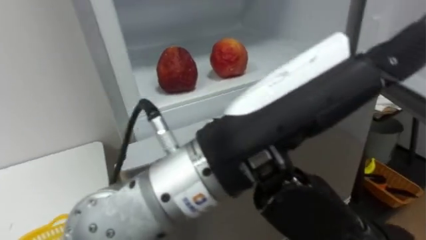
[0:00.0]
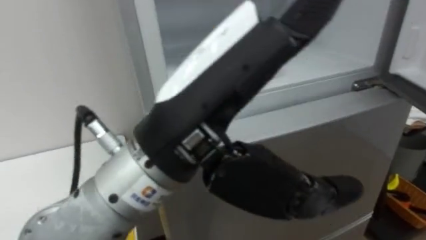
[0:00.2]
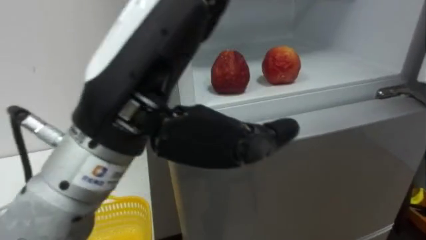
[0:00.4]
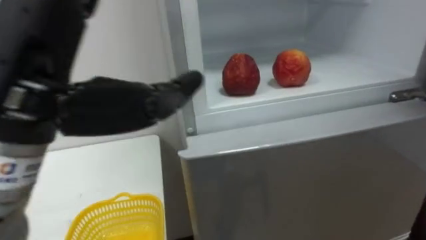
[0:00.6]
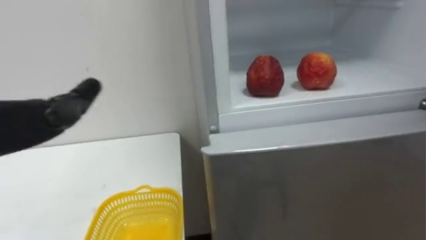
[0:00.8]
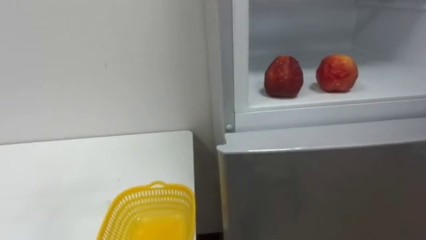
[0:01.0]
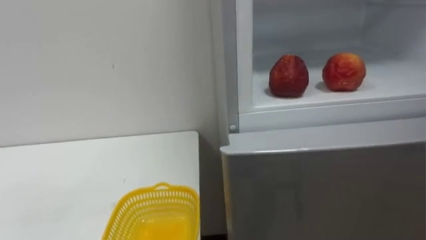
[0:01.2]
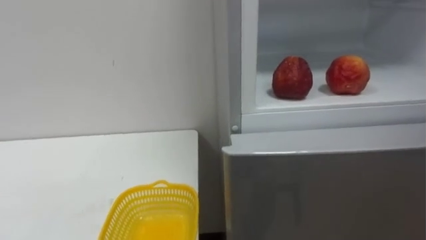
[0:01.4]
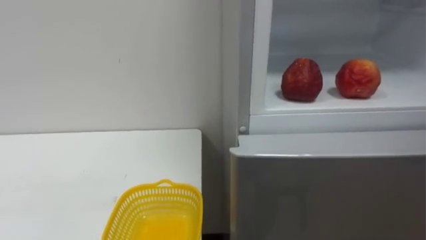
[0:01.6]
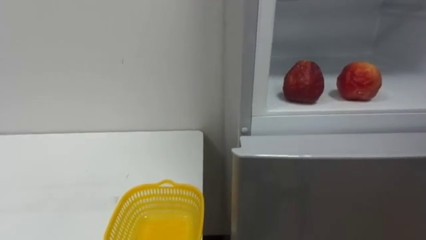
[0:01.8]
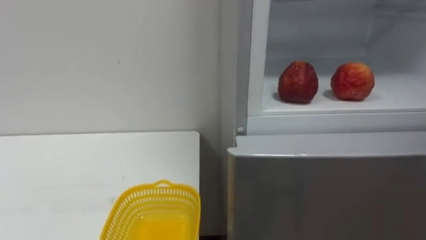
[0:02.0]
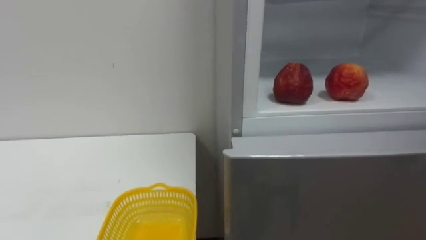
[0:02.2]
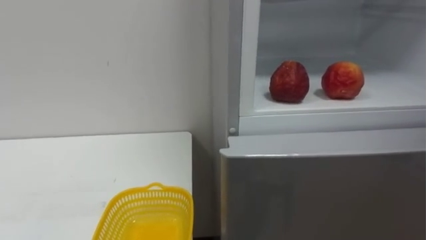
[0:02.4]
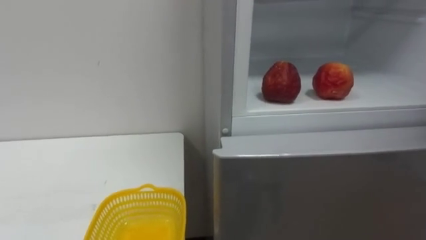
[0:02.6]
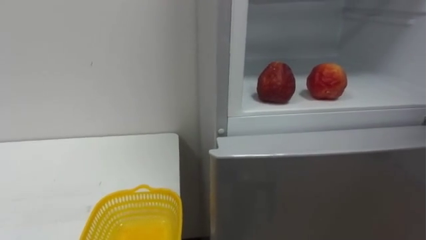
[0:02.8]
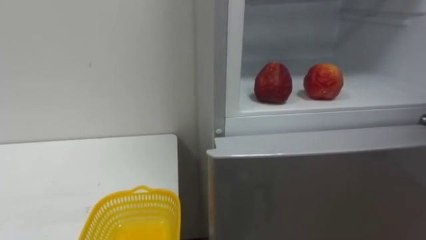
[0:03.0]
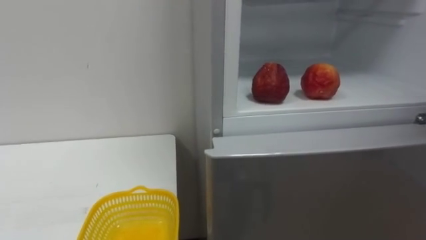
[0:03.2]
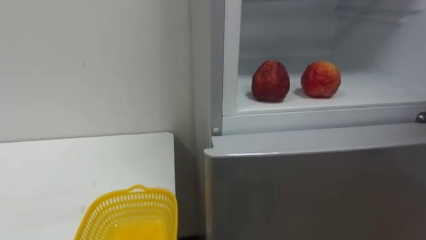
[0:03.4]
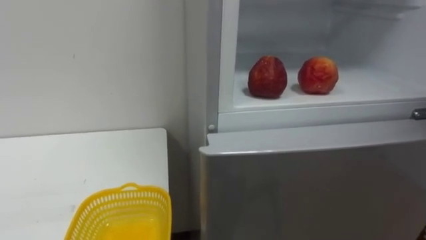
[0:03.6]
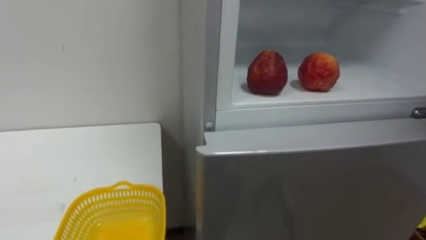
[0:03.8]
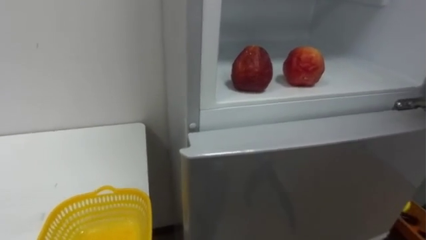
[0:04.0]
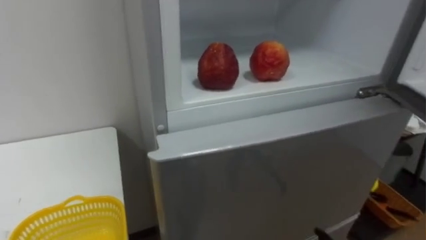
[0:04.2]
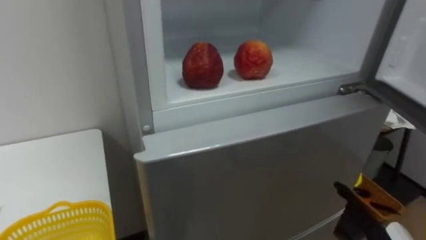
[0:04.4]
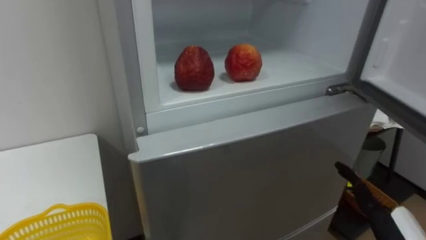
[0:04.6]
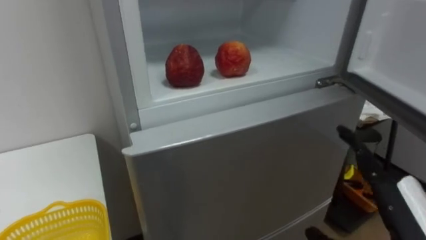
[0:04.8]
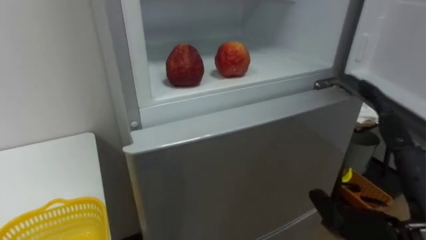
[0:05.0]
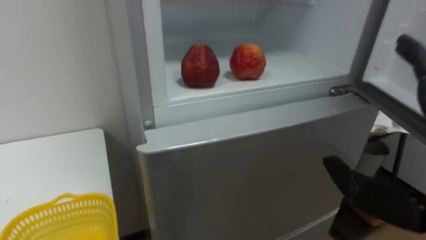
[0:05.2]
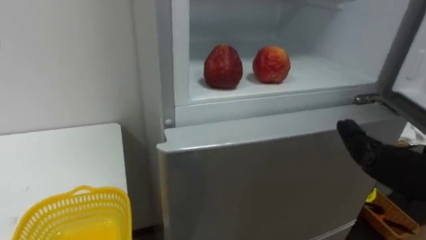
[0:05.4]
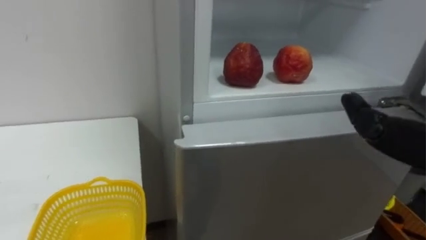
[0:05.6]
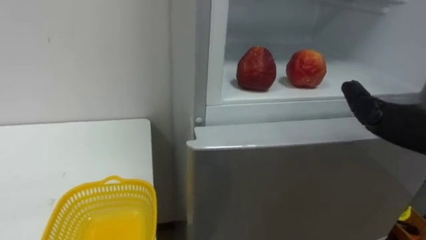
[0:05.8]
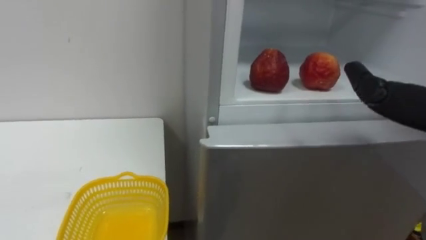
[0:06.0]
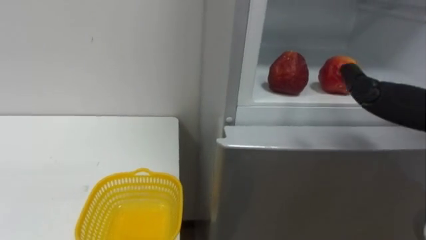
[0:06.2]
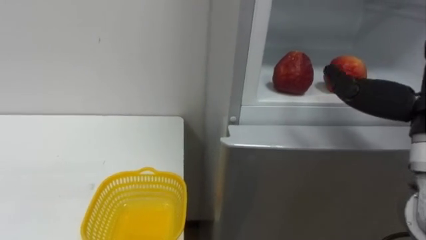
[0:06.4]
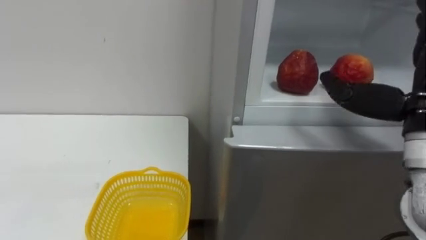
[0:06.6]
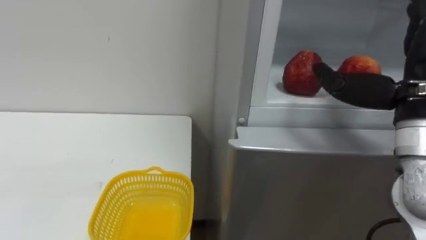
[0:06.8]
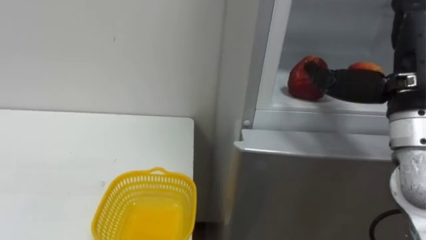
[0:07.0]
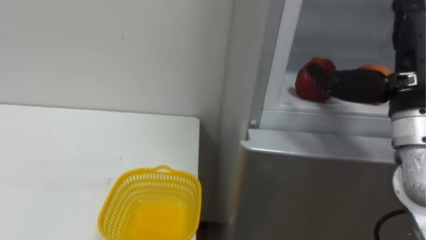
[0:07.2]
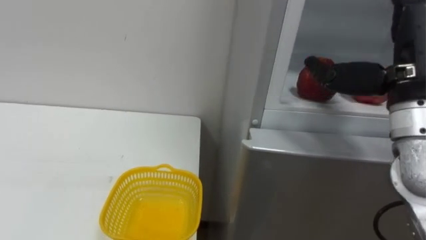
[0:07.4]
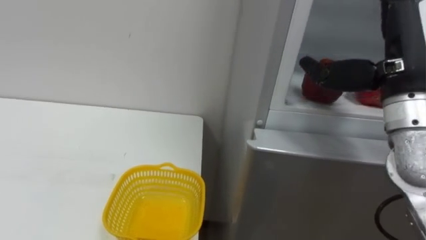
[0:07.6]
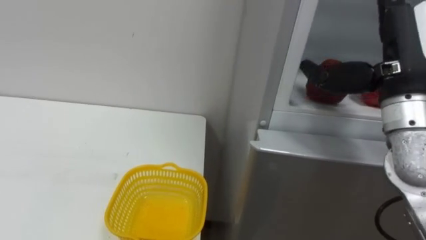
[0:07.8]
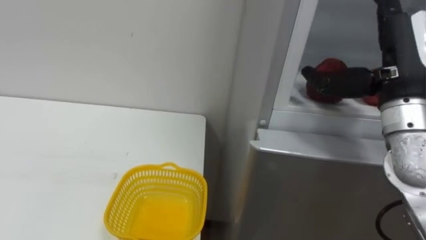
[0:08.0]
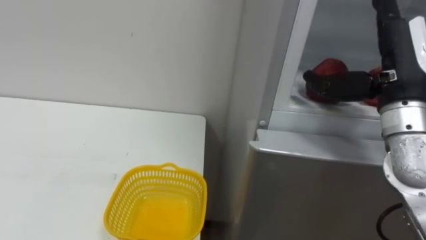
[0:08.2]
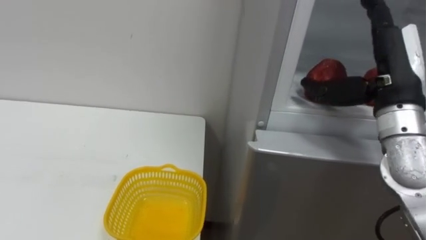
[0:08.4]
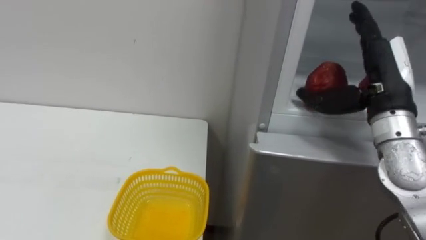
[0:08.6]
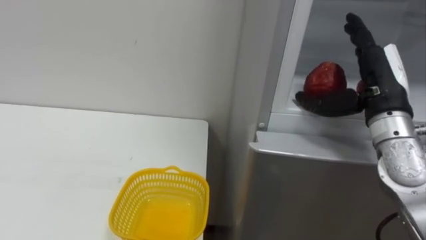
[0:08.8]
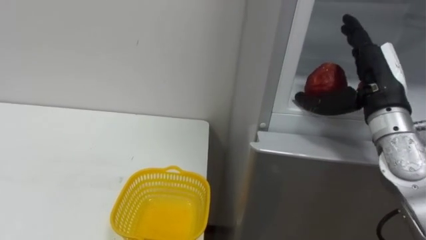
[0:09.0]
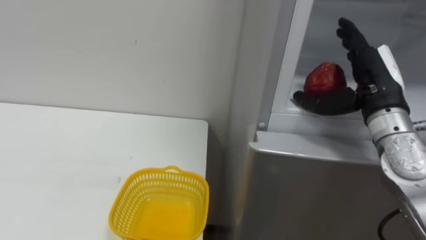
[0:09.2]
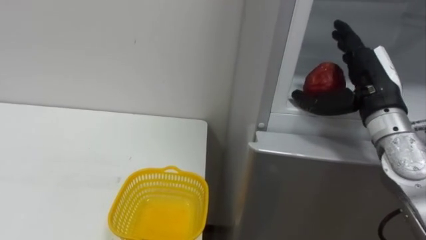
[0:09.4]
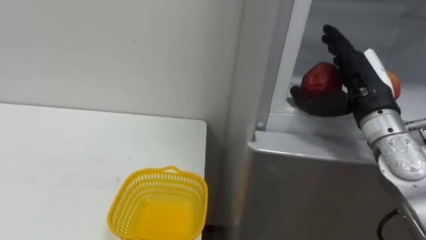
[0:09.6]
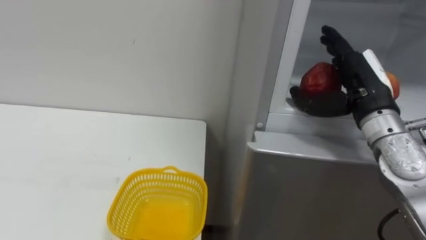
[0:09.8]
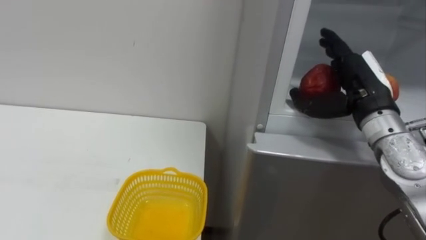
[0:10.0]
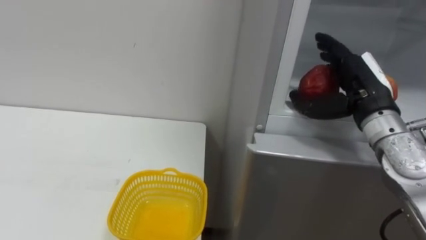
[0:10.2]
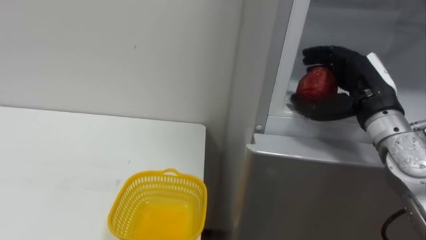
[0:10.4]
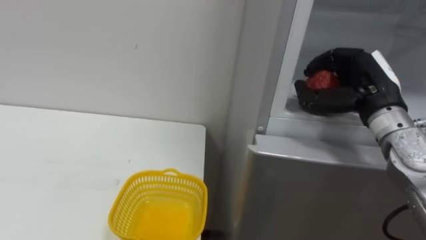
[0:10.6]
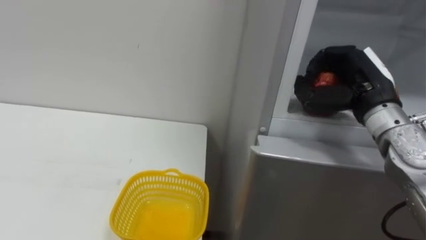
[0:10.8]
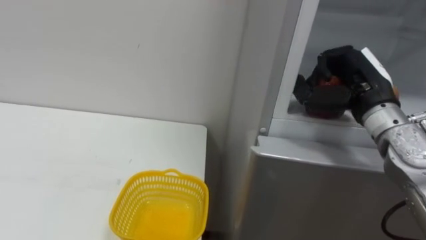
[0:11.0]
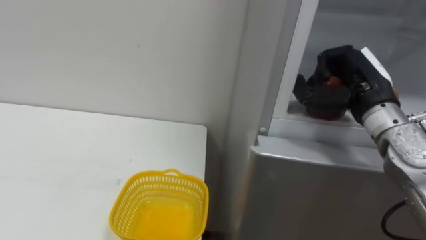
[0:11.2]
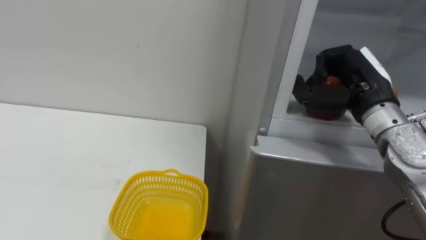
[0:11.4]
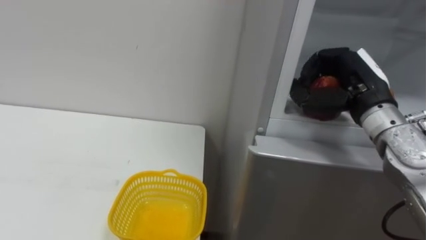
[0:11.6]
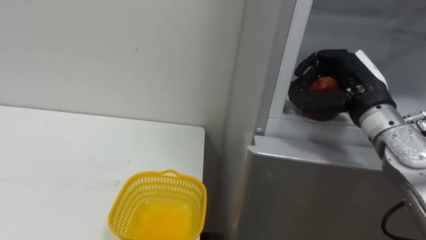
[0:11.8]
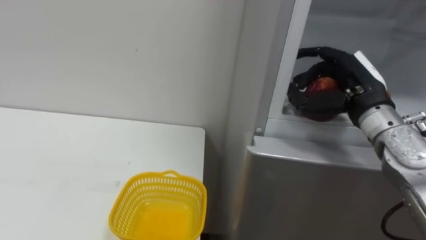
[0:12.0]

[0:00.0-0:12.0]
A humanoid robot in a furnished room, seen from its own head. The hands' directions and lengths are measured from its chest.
Task of the whole recording: Open the refrigerator door, take out the apple and the pomegranate, place them in the fruit basket on the left, and close the refrigerator door.
0:07.6 to 0:09.0: The right hand moves downward and forward, roughly 10 cm.
0:09.0 to 0:10.4: The right hand closes its fingers.
0:10.4 to 0:12.0: The right hand closes and opens again.

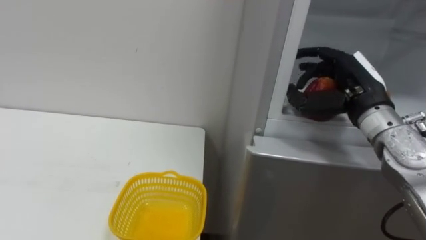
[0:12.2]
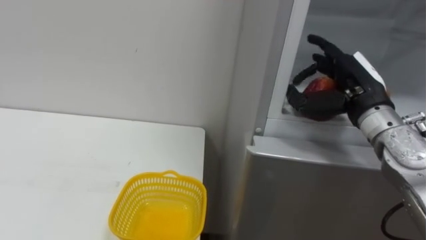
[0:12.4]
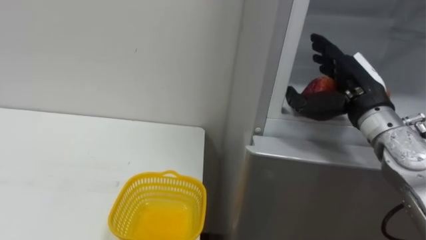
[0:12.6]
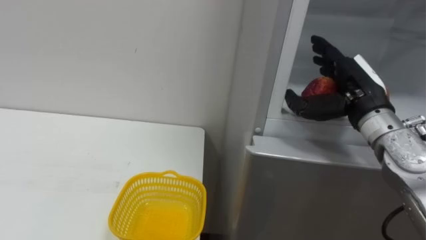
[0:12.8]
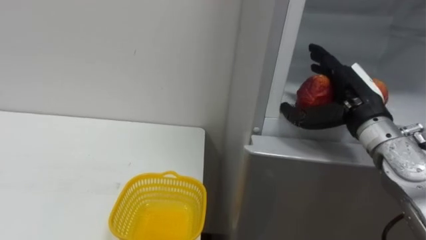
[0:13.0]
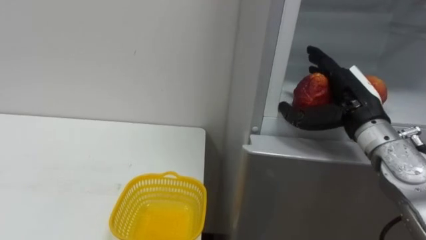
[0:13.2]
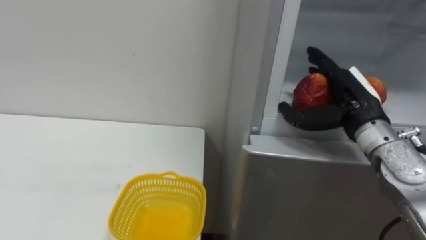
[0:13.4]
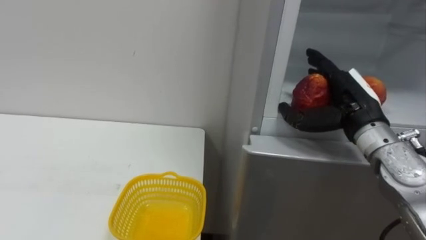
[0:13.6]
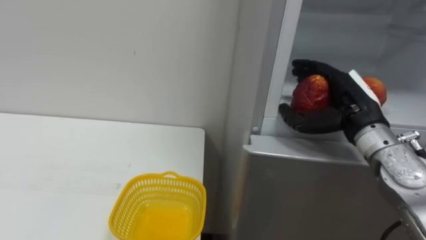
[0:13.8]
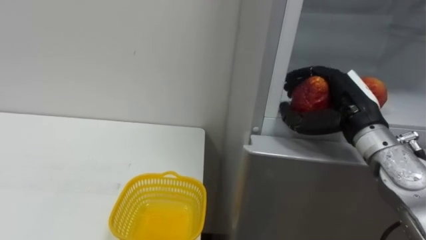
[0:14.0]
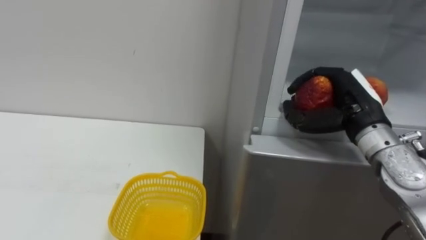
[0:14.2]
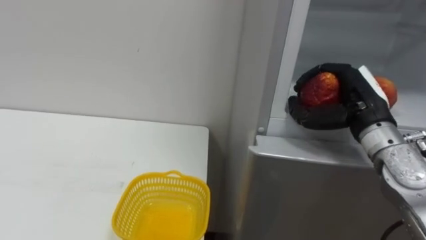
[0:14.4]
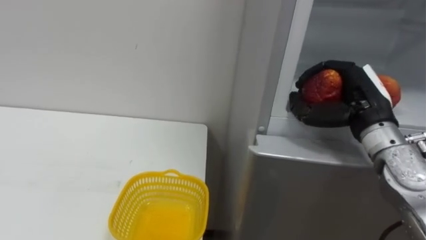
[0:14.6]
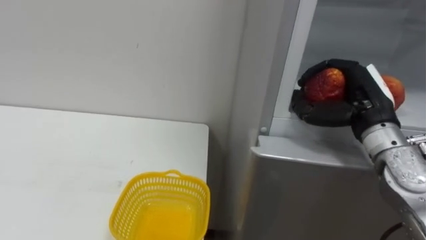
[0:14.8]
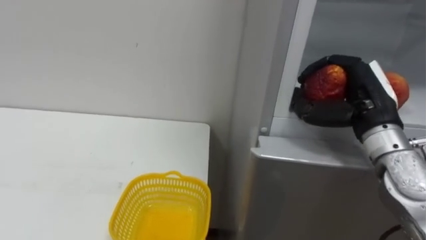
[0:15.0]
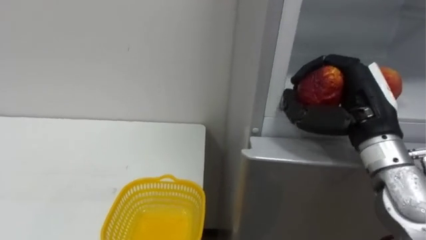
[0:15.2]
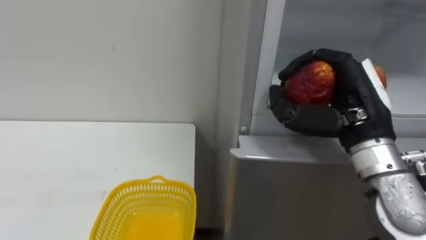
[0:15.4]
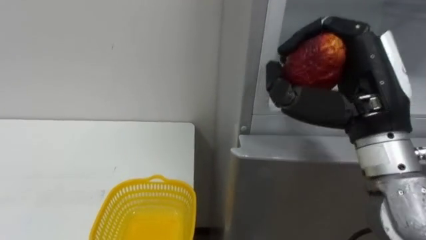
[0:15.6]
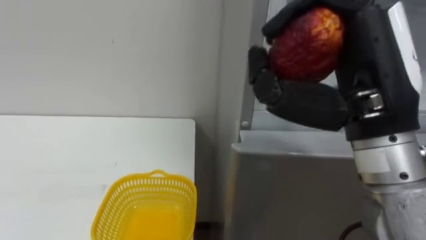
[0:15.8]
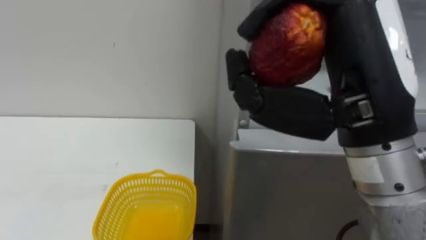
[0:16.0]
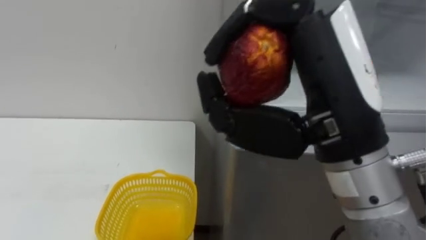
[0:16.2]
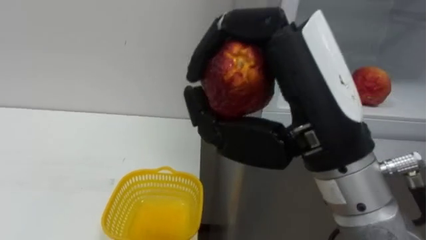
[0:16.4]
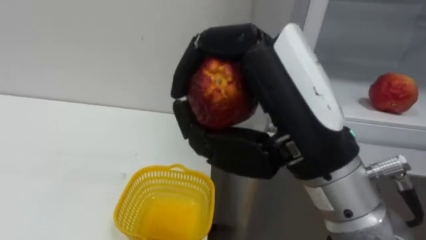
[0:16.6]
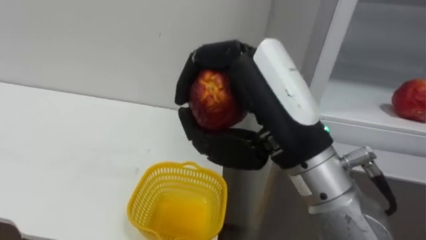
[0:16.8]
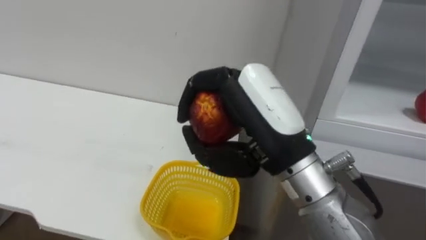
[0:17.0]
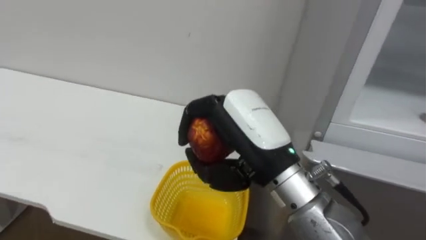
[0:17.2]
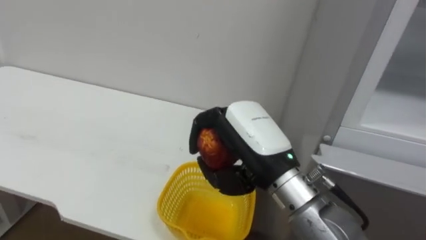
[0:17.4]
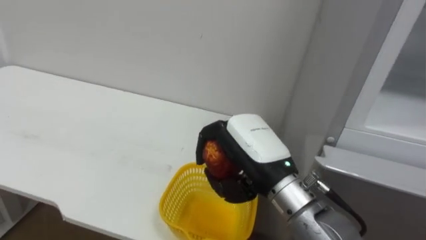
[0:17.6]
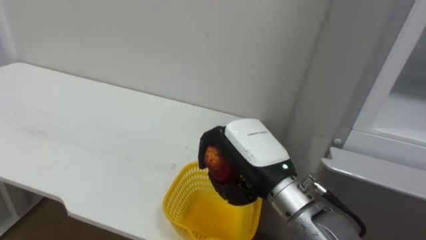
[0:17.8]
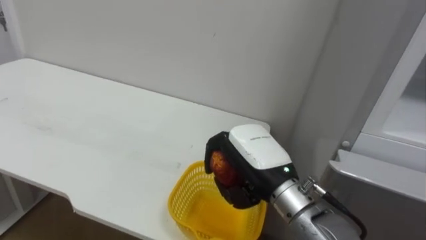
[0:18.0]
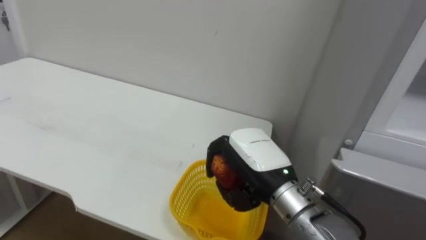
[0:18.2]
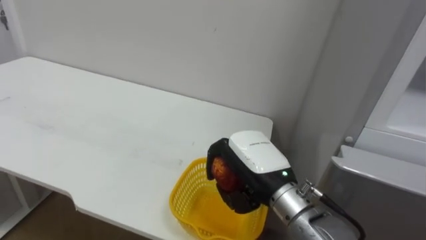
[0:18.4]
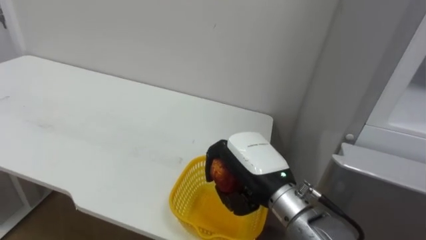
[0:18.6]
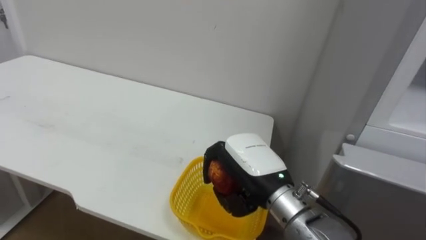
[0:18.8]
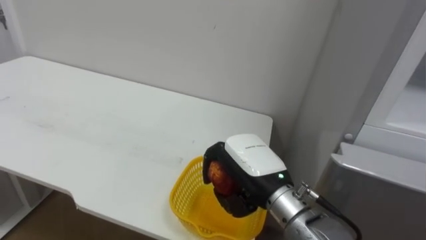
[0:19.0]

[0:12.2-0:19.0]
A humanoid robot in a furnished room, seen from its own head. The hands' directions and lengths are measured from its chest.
Task of the whole recording: Open the refrigerator door, take out the apple and the pomegranate, place them in the fruit basket on the left, and close the refrigerator door.
0:13.6 to 0:15.0: The right hand closes up.
0:15.0 to 0:16.2: The right hand goes about 20 cm backward, to the left and upward.
0:16.2 to 0:17.6: The right hand shifts approximately 15 cm downward and forward.
